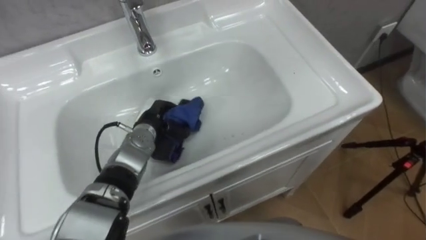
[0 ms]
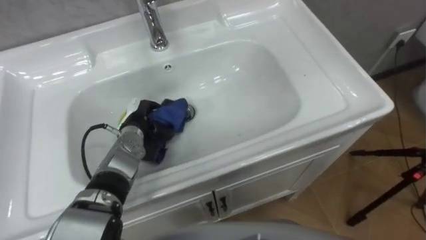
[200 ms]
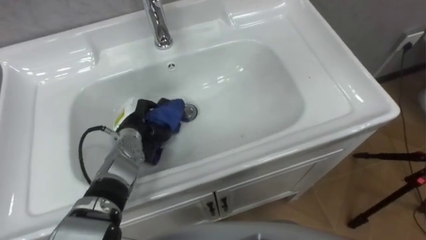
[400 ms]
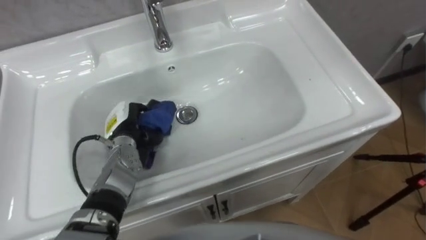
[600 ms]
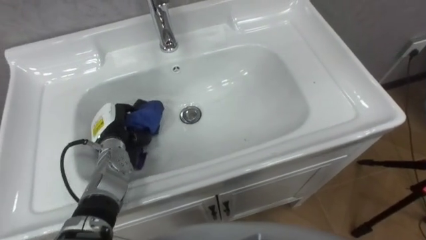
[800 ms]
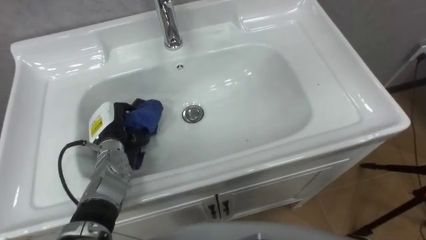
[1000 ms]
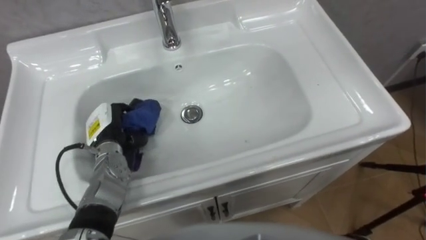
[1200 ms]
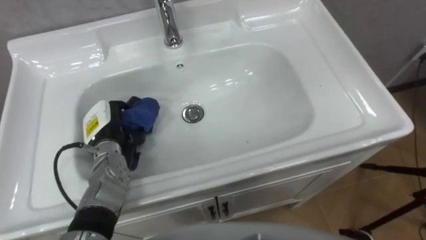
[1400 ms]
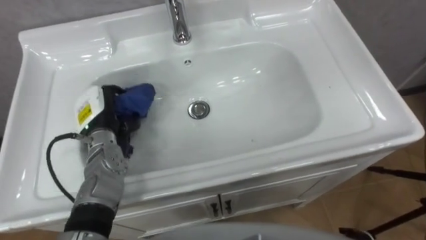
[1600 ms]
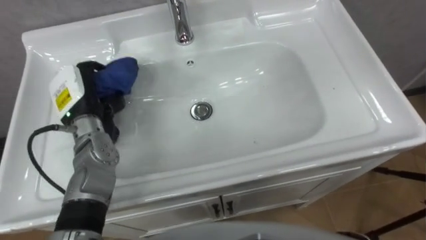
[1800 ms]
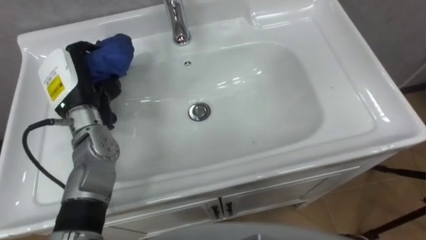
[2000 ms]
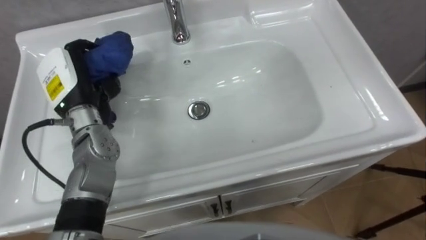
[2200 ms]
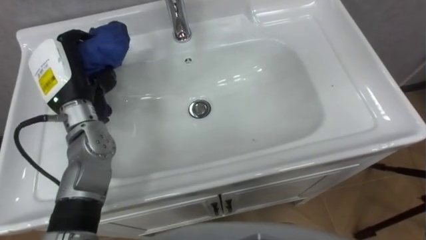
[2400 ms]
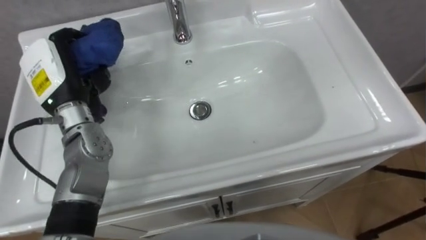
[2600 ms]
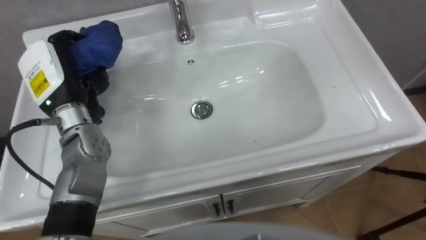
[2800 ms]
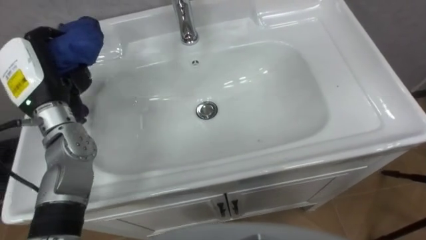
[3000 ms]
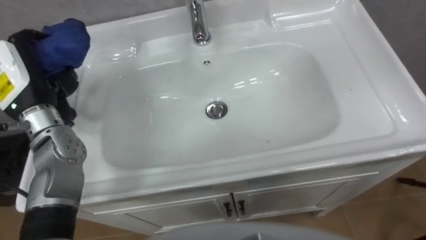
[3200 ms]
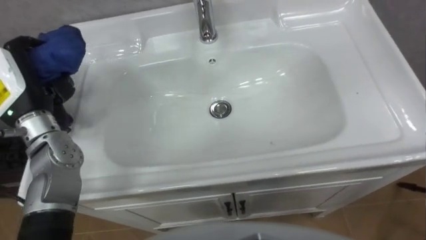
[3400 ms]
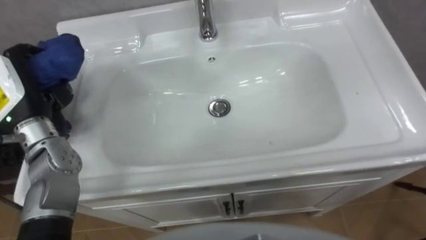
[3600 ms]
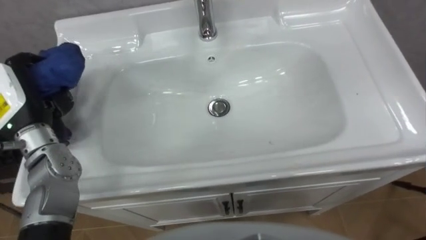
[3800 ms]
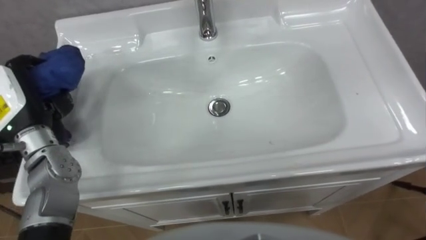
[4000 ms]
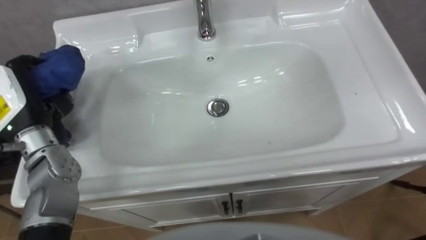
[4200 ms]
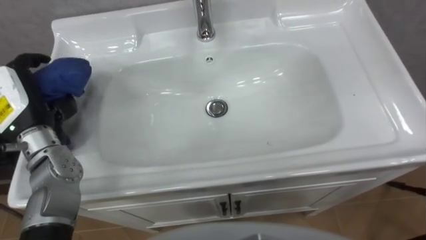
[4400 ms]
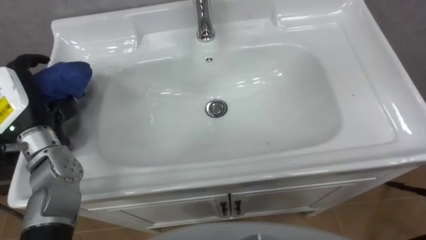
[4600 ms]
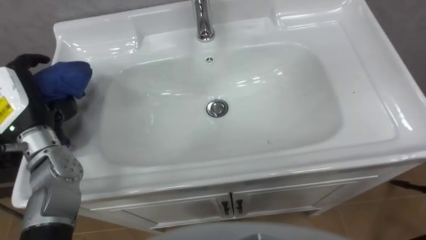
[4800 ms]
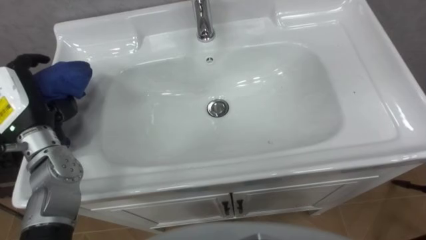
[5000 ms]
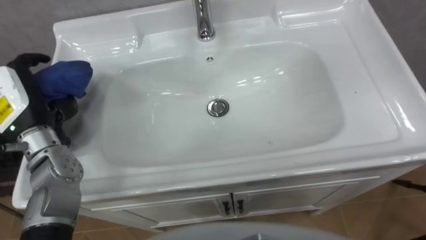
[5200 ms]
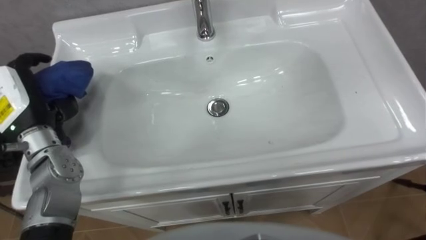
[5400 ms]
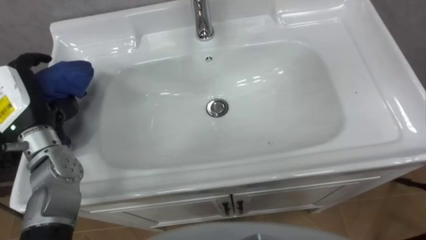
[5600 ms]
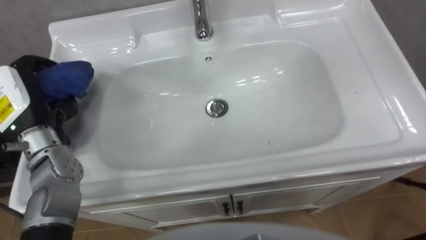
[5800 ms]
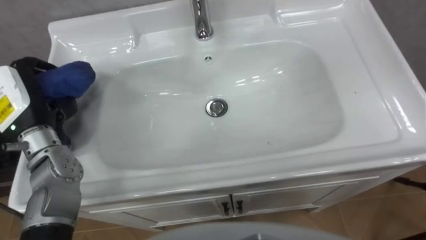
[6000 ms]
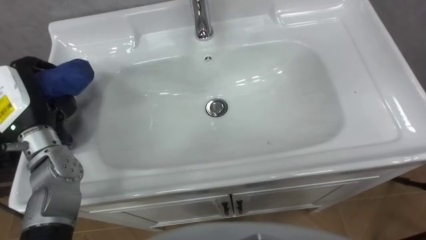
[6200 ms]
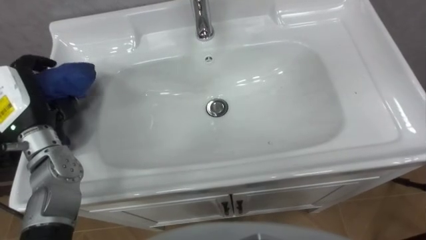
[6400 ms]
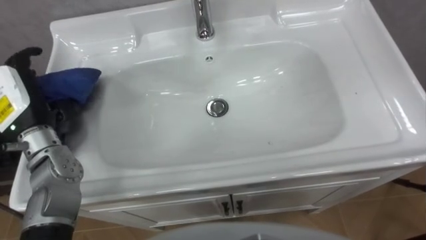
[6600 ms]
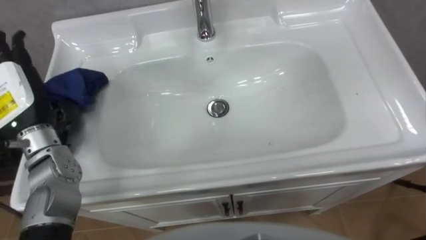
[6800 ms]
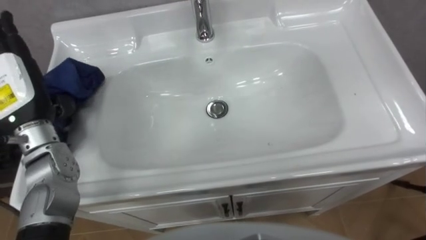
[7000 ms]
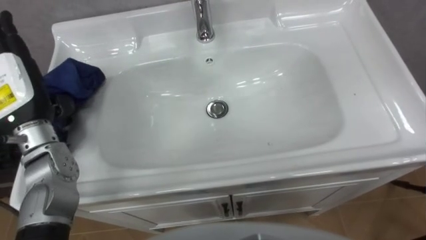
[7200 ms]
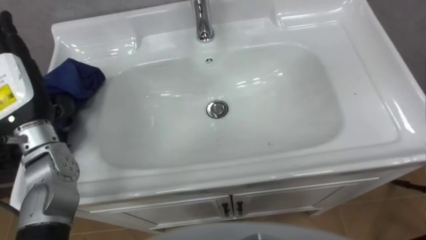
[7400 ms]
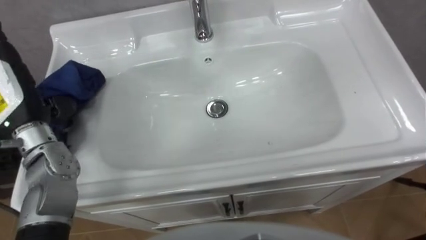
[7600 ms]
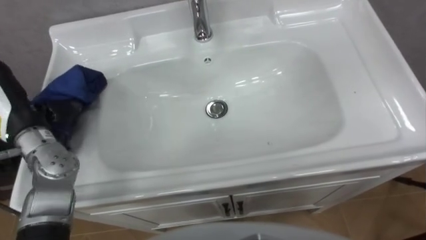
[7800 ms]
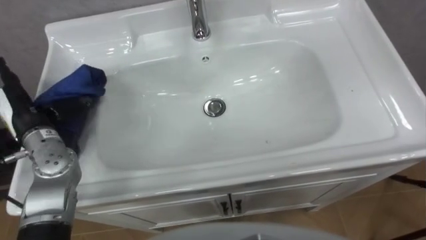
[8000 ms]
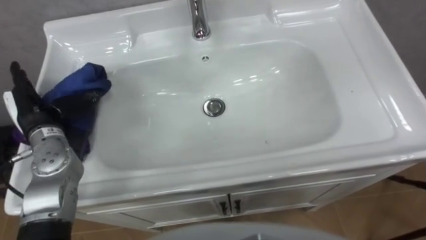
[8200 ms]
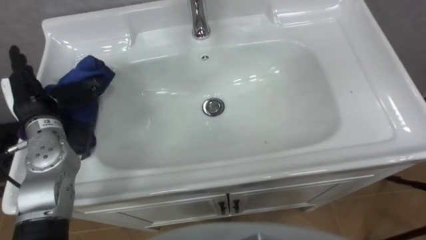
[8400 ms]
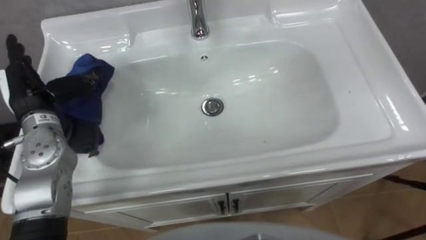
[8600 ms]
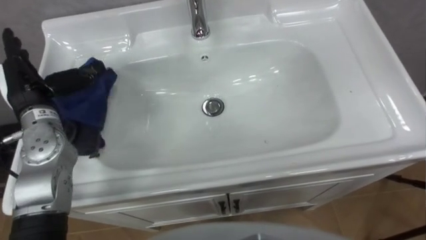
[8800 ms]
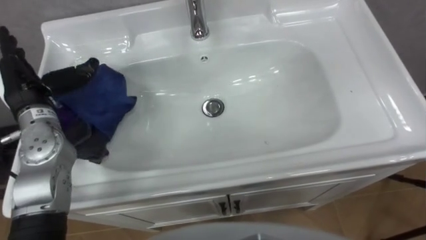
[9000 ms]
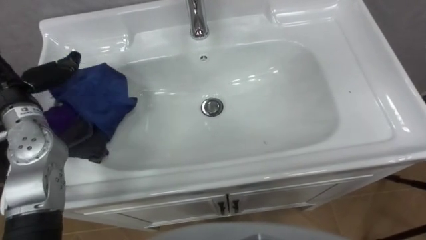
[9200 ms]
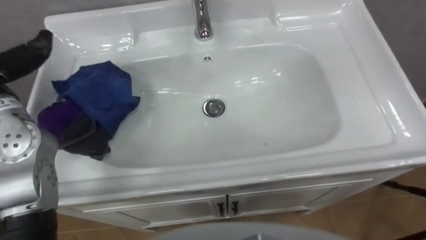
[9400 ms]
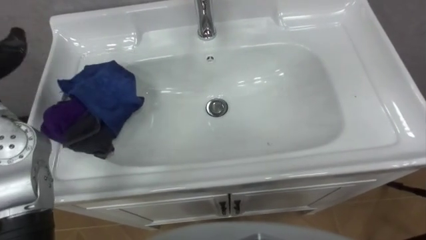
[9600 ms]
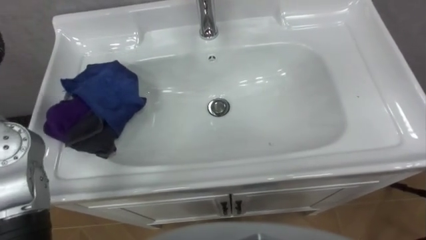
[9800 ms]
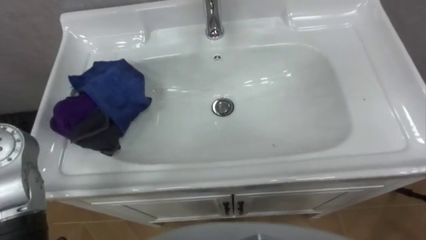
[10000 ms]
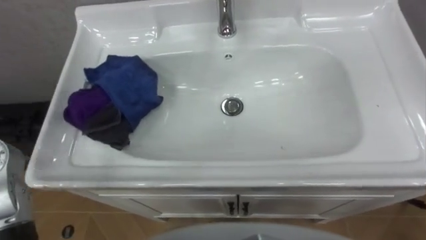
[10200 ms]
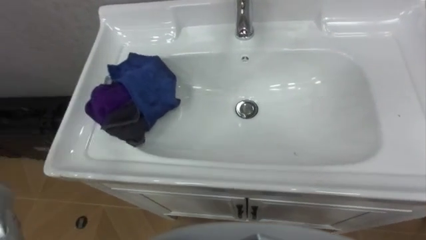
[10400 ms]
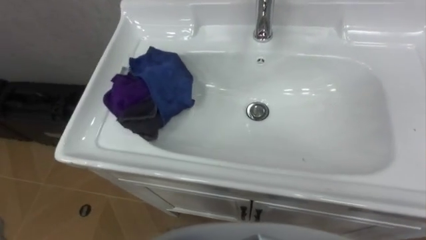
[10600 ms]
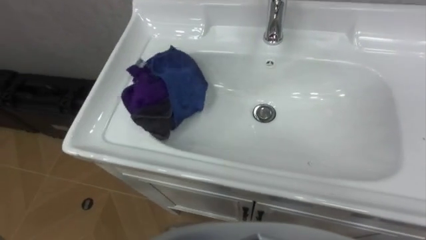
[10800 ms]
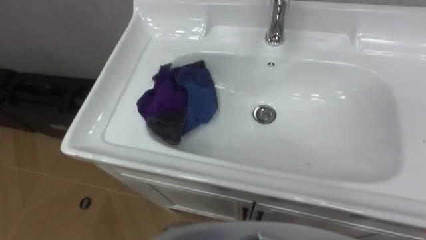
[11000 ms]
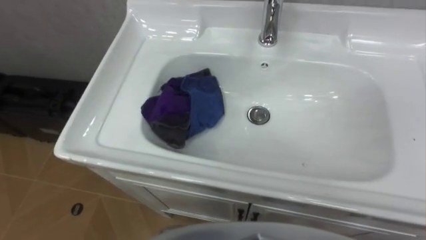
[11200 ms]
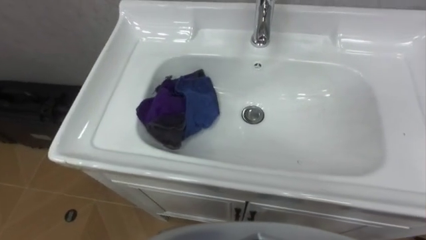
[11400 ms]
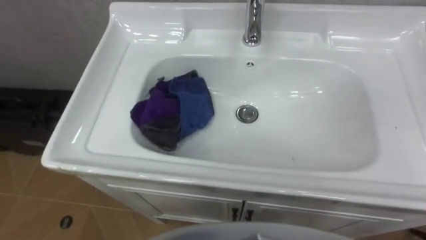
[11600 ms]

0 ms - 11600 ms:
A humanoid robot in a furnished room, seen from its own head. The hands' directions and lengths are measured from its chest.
Task of the whole recording: Use the cloth on the right to wipe away the black stain in the sink.
0 ms - 1400 ms: The left hand is displaced to the left by roughly 10 cm.
1400 ms - 2800 ms: The left hand heads upward, covering some 15 cm.
2800 ms - 4400 ms: The left hand goes some 5 cm to the left.
5800 ms - 7200 ms: The left hand opens.

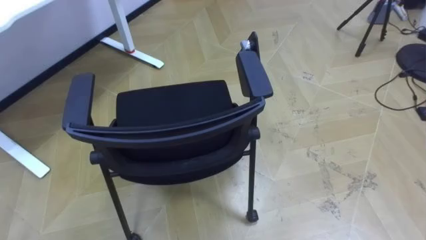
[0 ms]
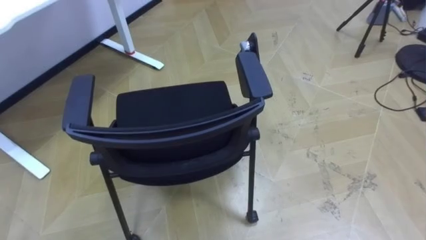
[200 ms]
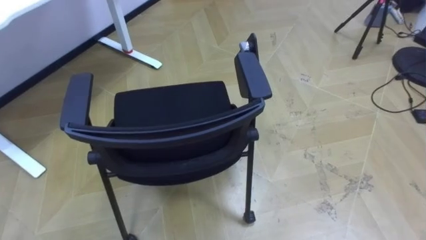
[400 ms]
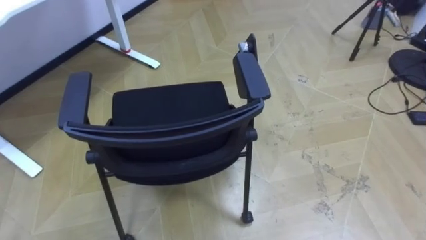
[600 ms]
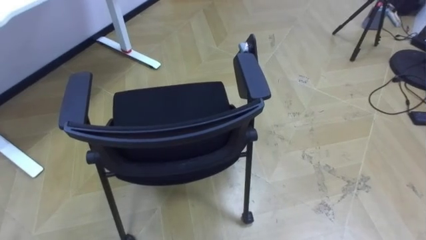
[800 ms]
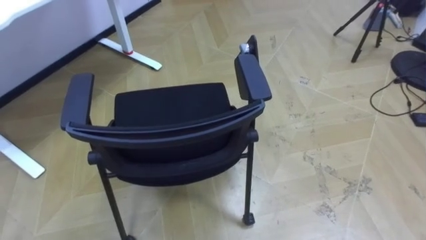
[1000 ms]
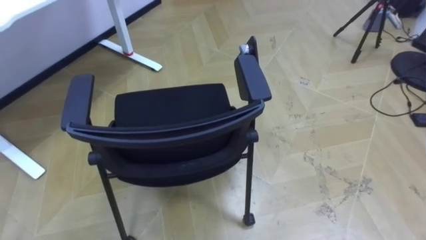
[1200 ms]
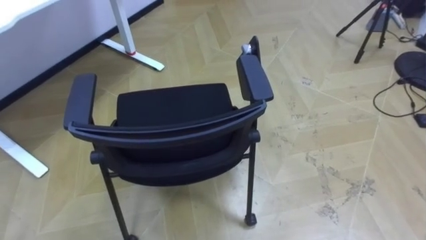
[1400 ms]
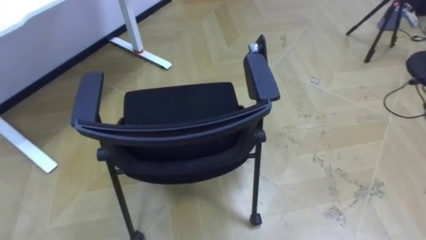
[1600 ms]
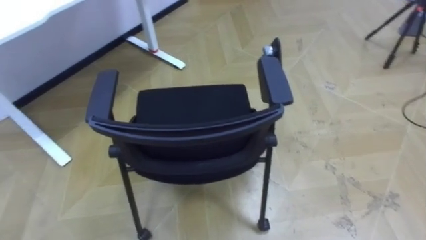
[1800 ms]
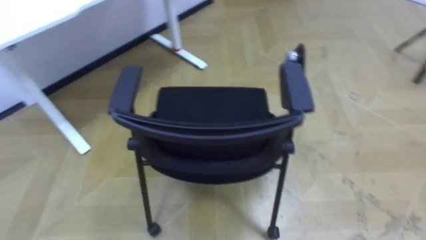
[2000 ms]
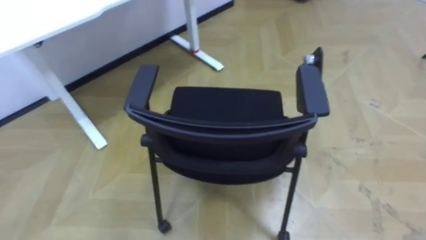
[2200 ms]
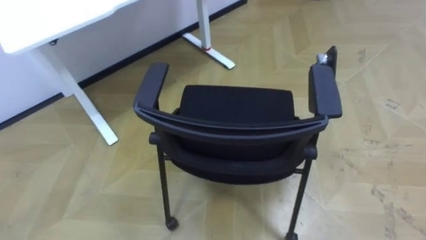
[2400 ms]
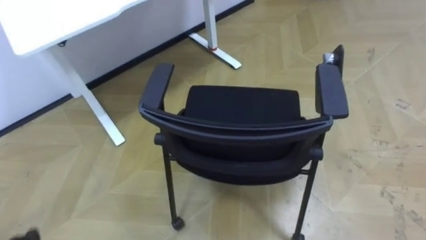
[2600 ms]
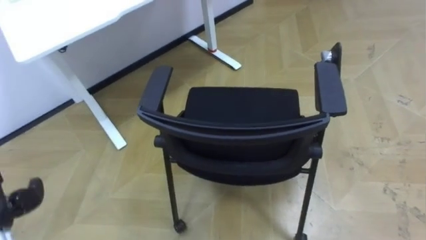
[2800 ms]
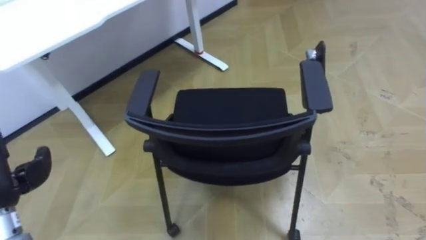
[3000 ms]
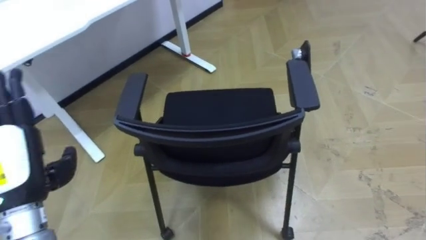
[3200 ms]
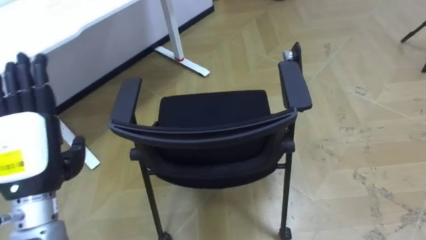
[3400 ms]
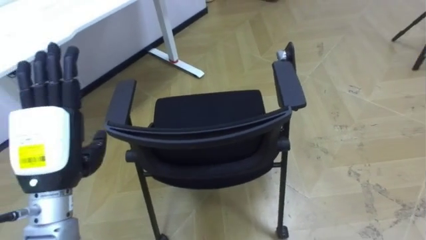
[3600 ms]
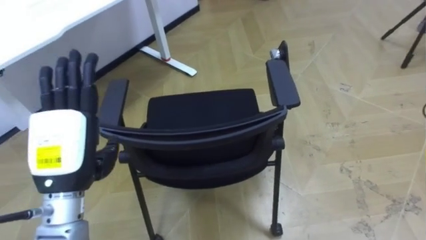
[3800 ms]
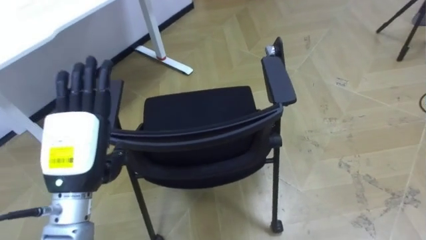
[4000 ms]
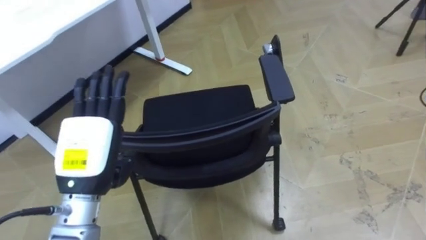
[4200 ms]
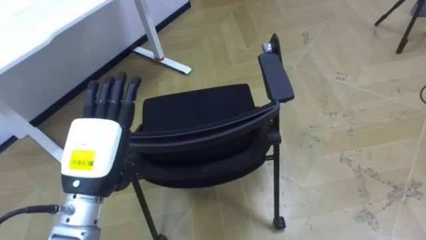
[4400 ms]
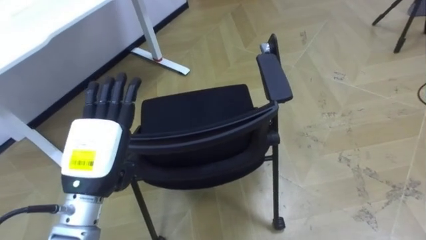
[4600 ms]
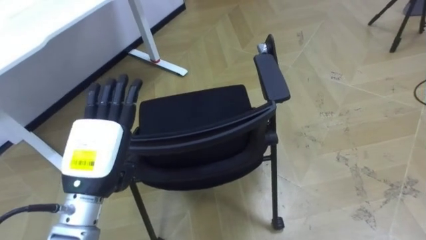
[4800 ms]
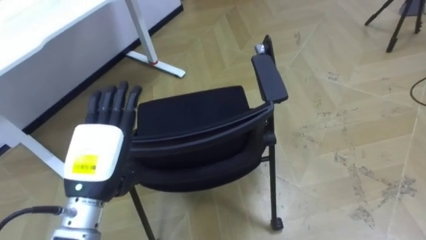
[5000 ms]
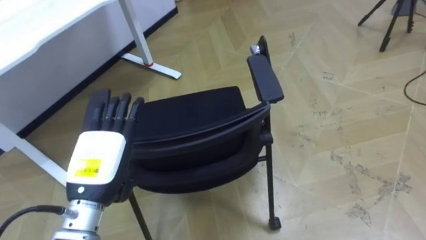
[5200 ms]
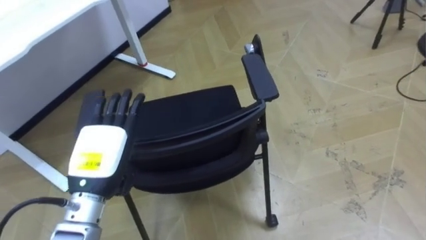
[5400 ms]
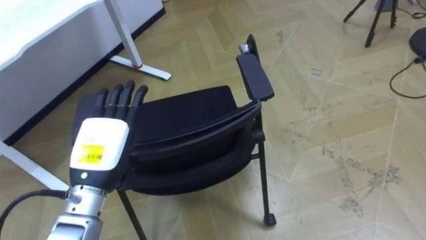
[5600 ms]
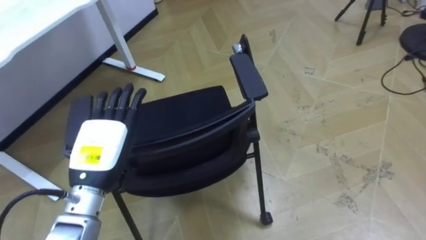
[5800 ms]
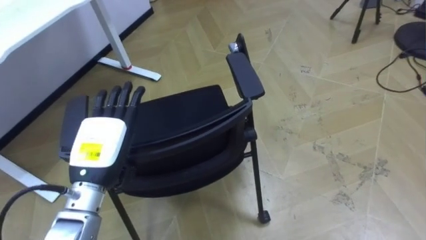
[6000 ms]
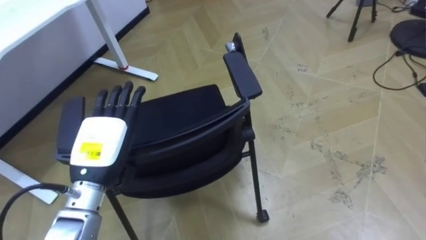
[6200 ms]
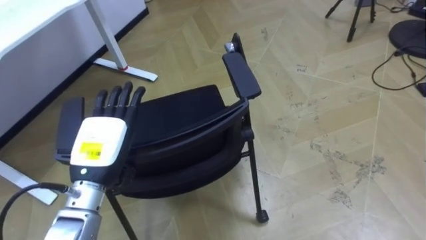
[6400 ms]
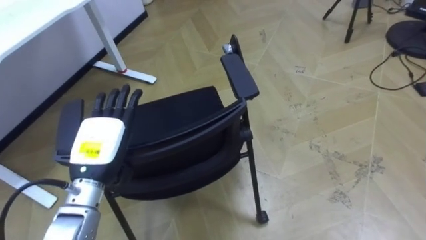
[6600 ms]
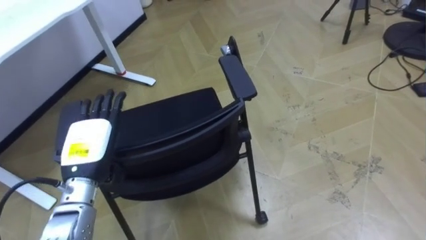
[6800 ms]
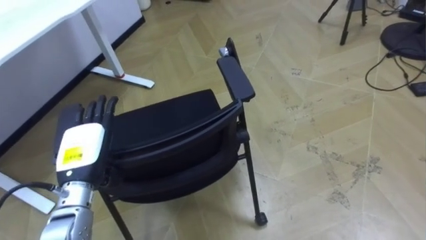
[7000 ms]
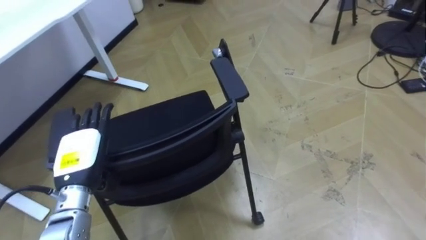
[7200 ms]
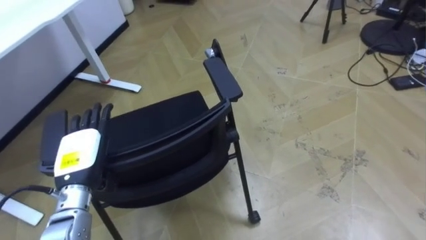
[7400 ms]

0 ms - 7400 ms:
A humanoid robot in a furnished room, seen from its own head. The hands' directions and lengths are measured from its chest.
Task of the whole recording: Push the chair under the table.
6000 ms - 7400 ms: The left hand shifts approximately 5 cm downward and to the left.
